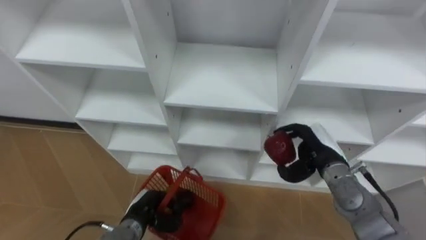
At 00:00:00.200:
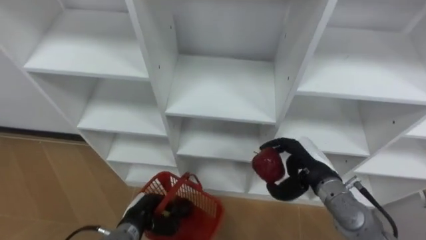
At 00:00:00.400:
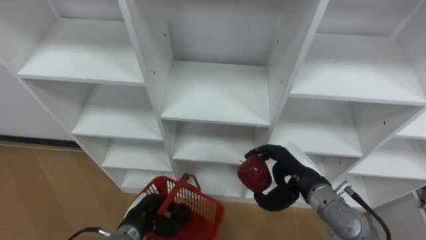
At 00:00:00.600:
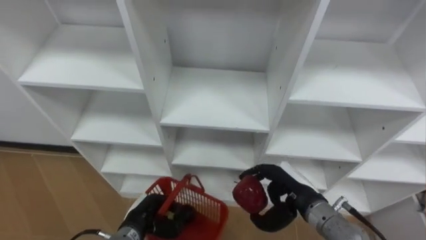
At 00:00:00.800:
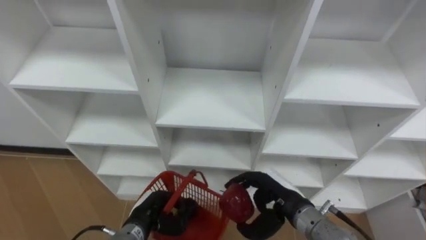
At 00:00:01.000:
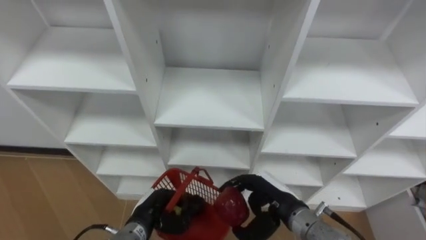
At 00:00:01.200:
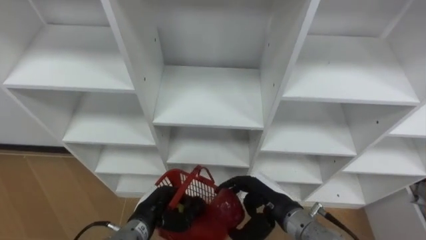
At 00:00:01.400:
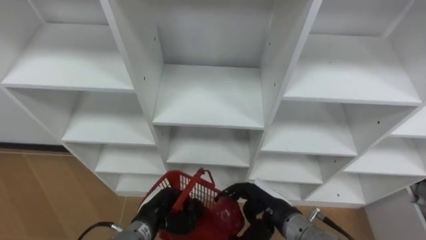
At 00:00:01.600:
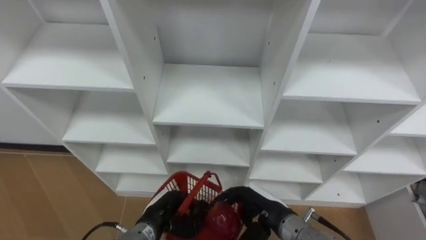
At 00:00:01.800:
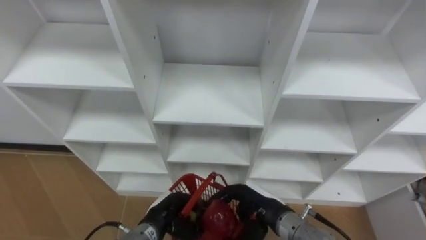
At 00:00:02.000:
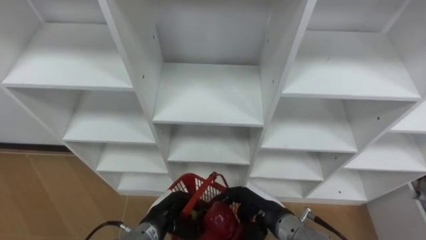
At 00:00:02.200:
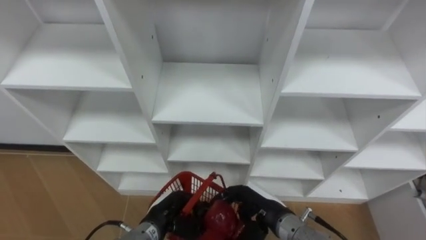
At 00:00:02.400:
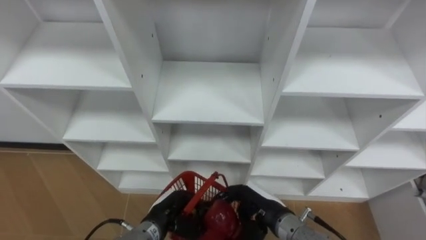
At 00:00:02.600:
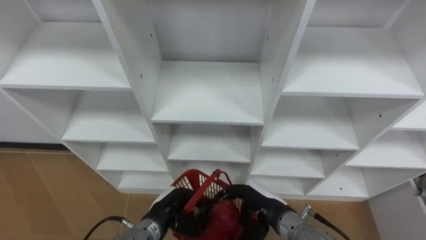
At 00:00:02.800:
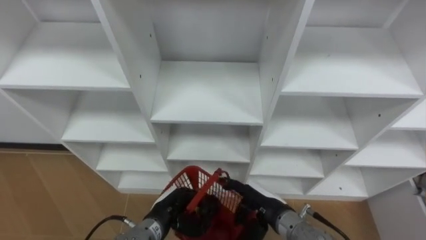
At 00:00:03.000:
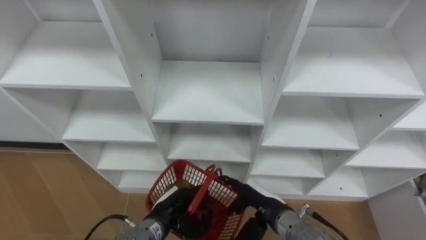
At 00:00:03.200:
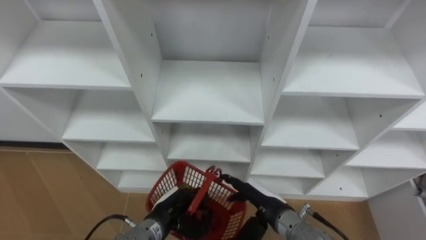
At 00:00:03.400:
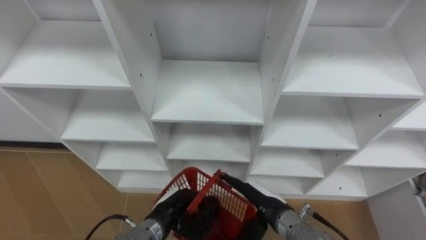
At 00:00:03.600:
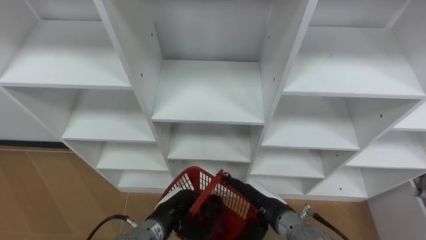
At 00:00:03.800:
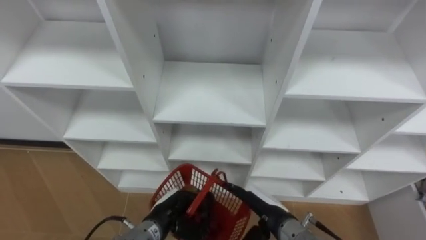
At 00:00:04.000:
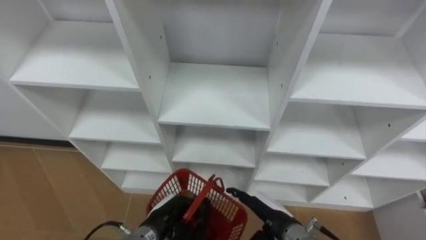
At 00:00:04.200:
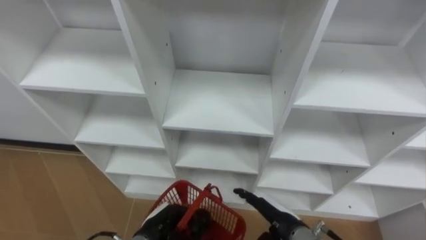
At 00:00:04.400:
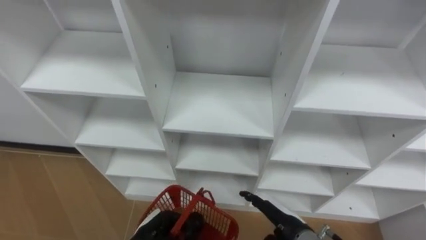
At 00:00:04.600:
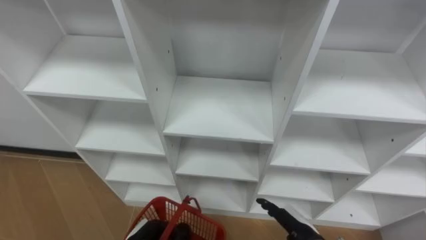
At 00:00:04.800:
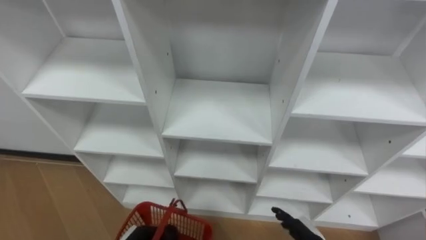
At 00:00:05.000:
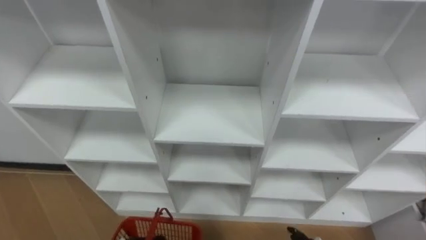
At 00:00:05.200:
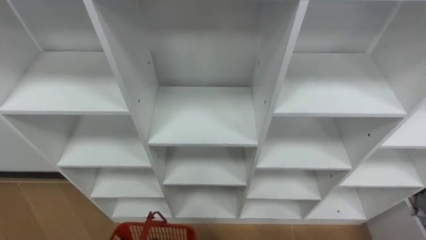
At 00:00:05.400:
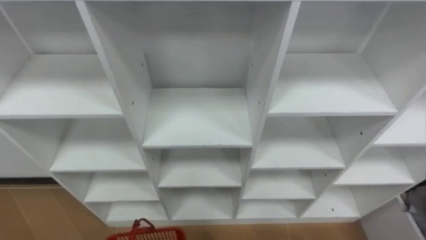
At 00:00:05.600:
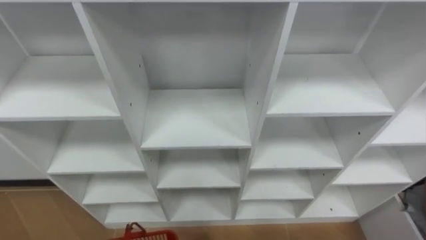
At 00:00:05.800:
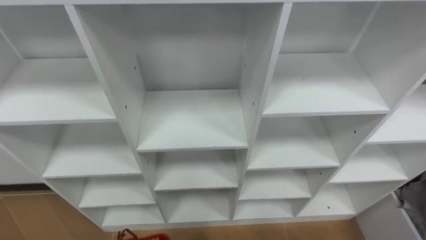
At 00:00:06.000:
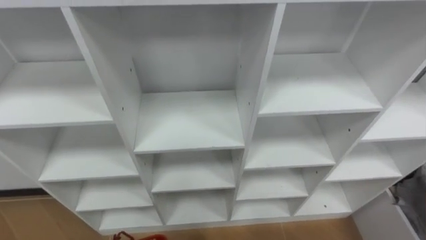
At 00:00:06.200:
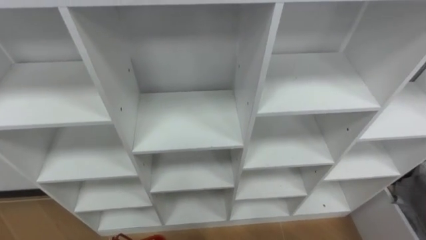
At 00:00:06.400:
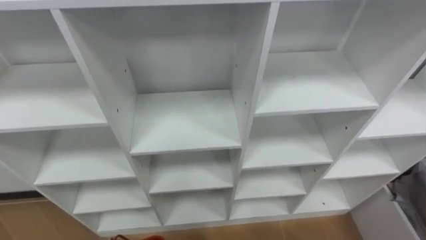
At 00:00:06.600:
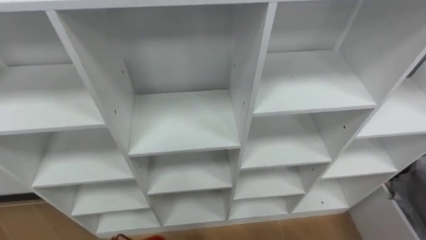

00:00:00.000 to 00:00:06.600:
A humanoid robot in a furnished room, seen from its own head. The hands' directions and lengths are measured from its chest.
Task of the whole recording: Hold the basket and collect the fruits from 3 different cells of the closet into it.
00:00:00.000 to 00:00:01.600: The right hand moves to the left and backward, about 15 cm.
00:00:01.600 to 00:00:03.200: The right hand opens up.

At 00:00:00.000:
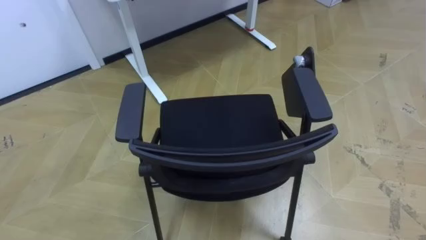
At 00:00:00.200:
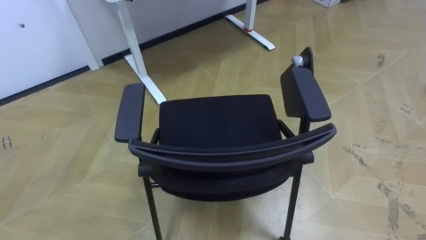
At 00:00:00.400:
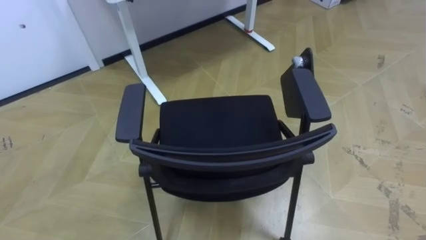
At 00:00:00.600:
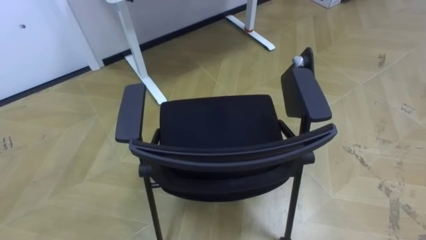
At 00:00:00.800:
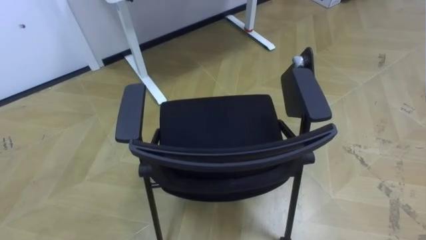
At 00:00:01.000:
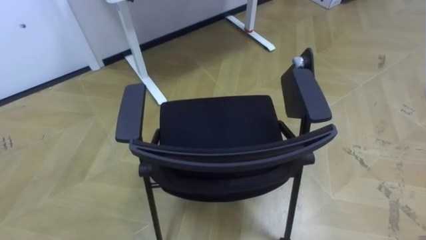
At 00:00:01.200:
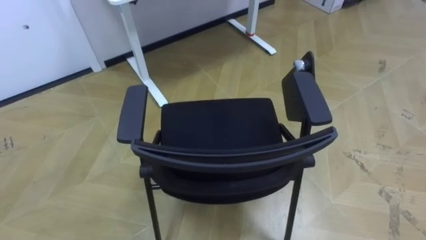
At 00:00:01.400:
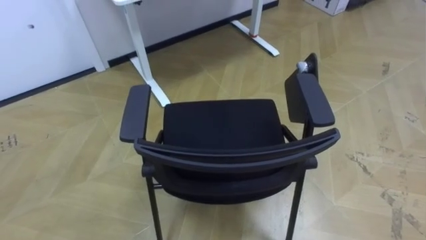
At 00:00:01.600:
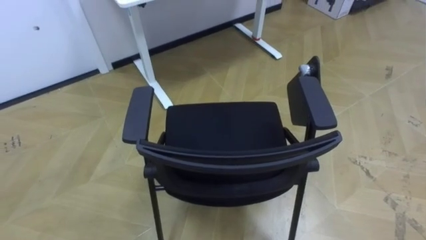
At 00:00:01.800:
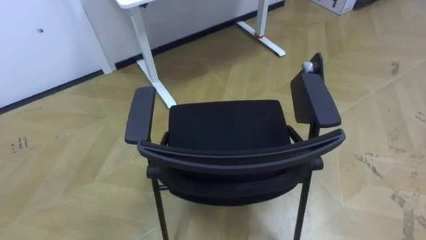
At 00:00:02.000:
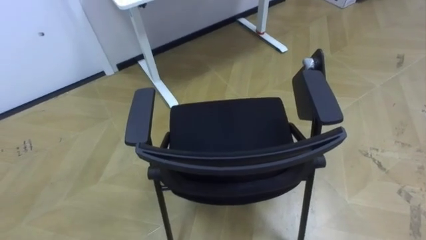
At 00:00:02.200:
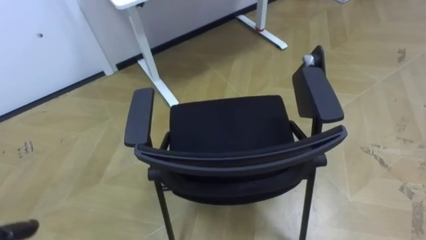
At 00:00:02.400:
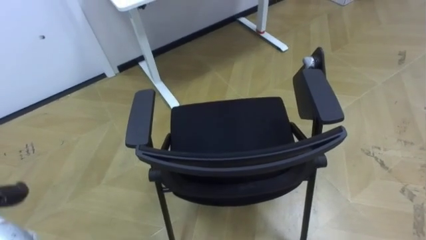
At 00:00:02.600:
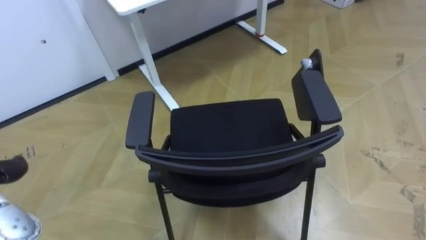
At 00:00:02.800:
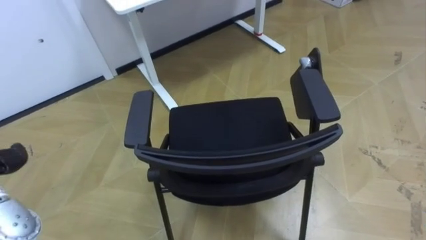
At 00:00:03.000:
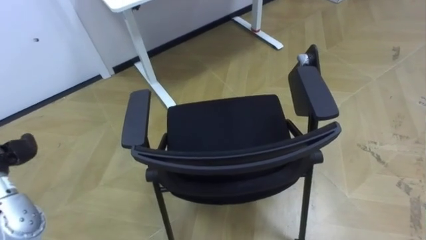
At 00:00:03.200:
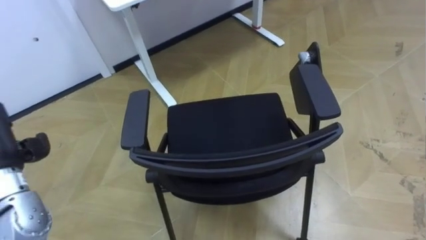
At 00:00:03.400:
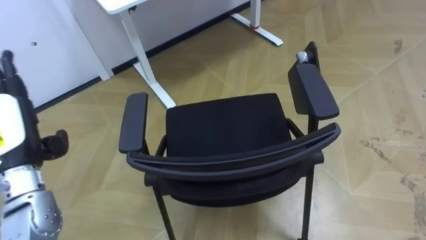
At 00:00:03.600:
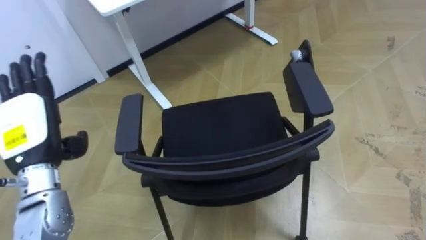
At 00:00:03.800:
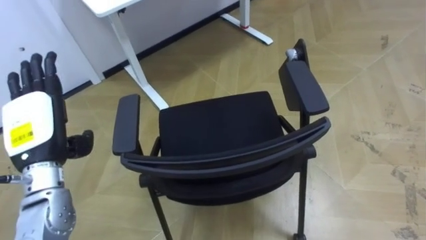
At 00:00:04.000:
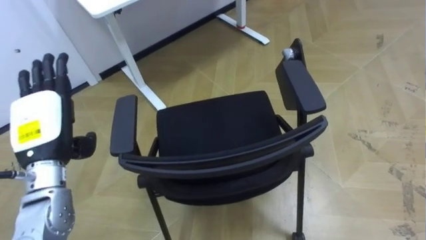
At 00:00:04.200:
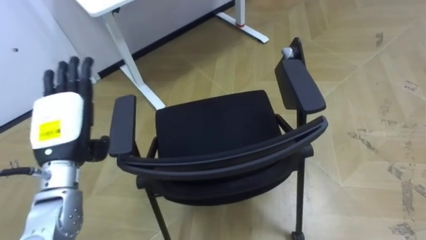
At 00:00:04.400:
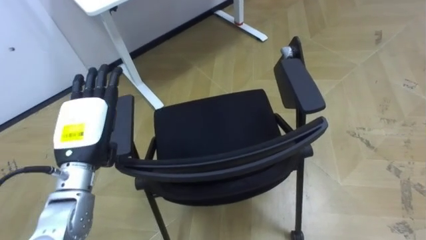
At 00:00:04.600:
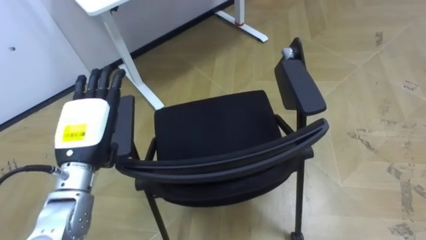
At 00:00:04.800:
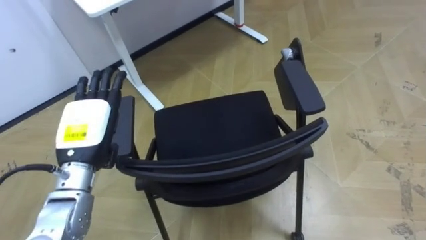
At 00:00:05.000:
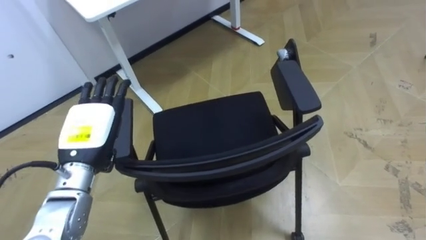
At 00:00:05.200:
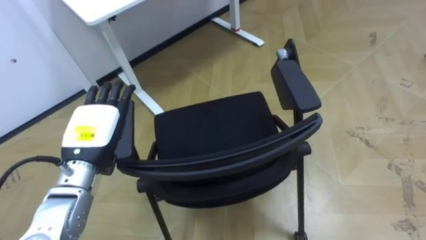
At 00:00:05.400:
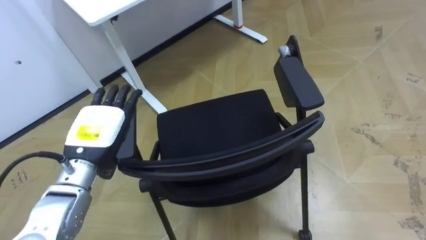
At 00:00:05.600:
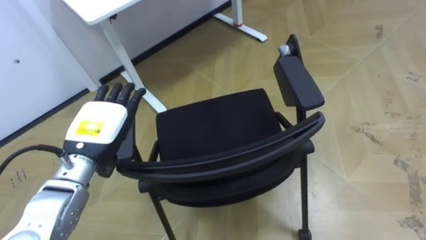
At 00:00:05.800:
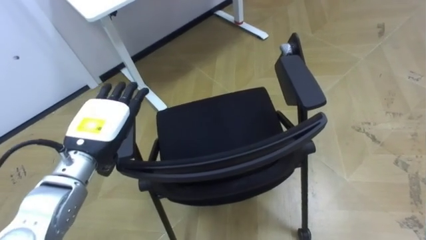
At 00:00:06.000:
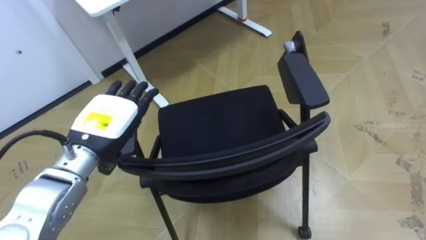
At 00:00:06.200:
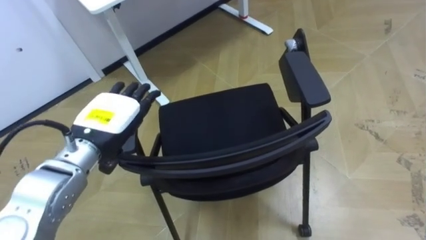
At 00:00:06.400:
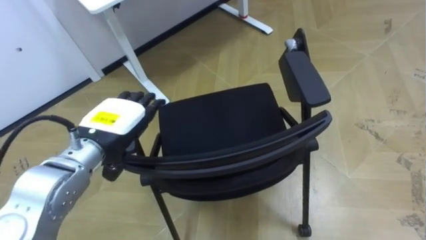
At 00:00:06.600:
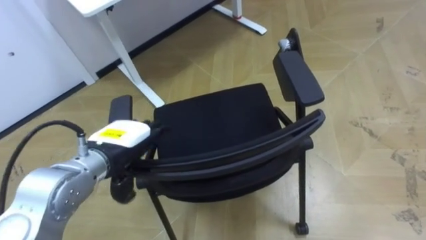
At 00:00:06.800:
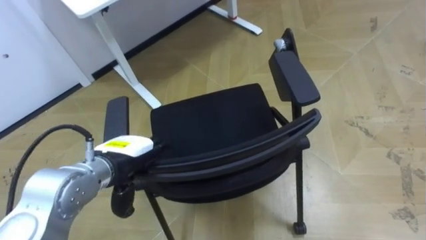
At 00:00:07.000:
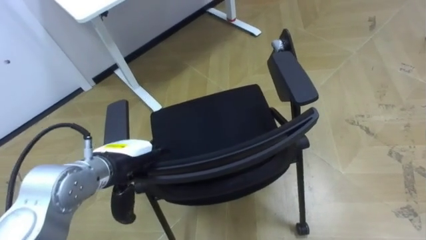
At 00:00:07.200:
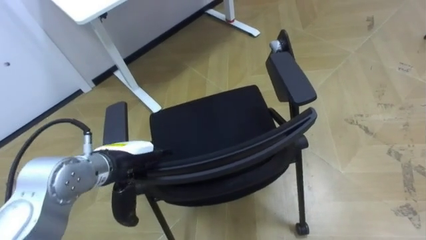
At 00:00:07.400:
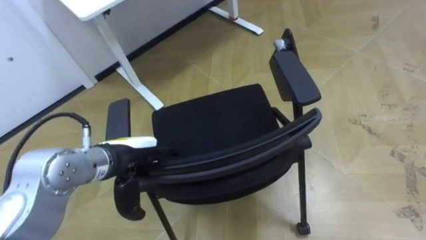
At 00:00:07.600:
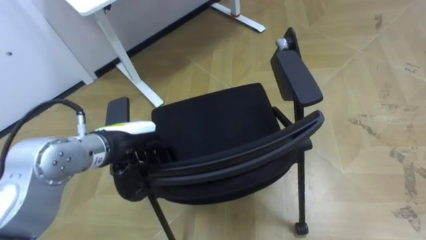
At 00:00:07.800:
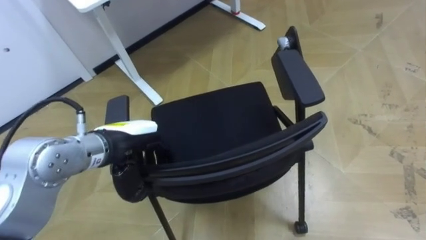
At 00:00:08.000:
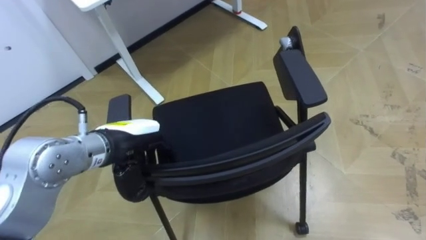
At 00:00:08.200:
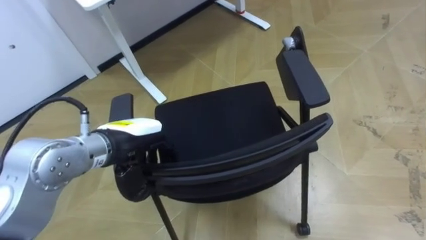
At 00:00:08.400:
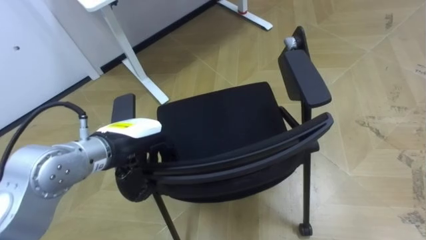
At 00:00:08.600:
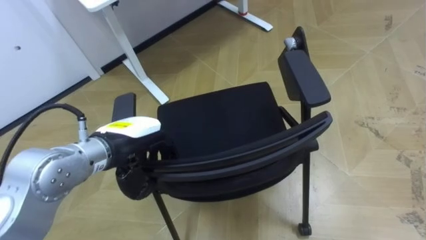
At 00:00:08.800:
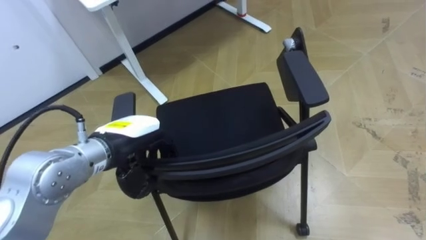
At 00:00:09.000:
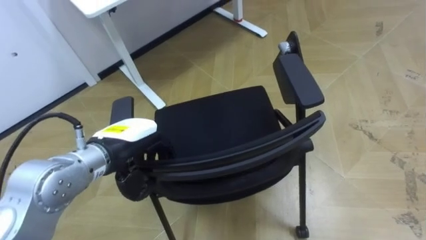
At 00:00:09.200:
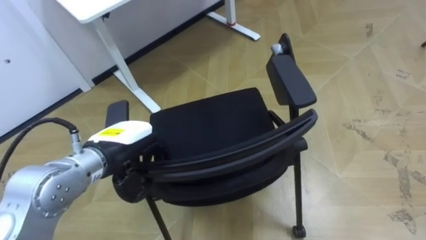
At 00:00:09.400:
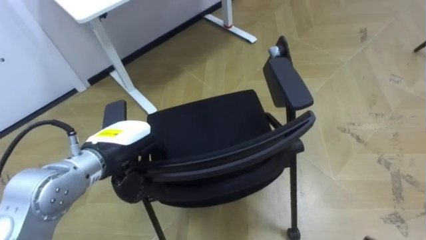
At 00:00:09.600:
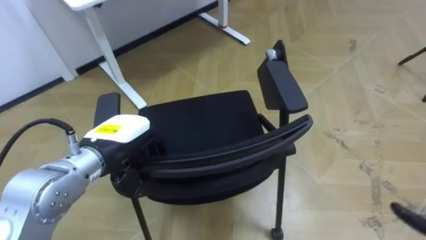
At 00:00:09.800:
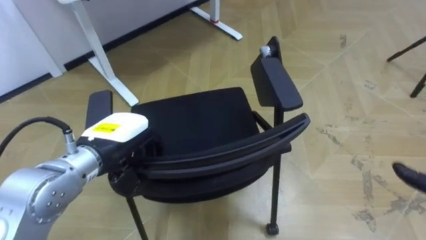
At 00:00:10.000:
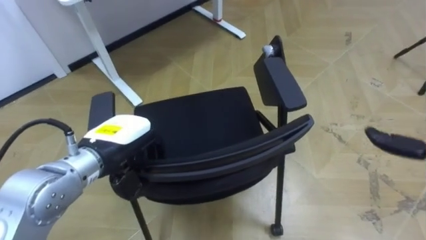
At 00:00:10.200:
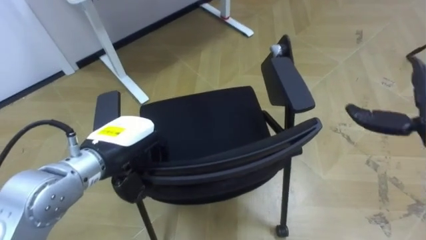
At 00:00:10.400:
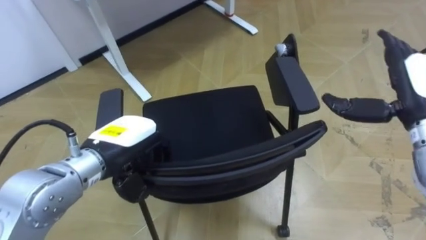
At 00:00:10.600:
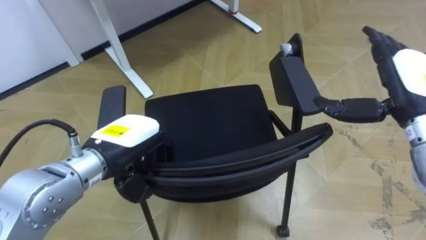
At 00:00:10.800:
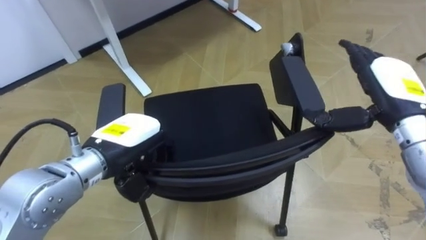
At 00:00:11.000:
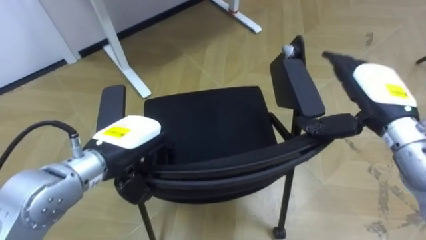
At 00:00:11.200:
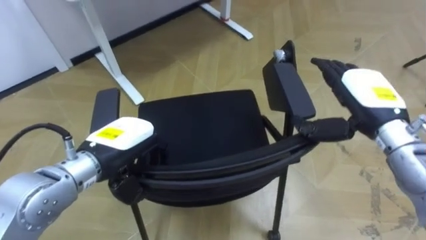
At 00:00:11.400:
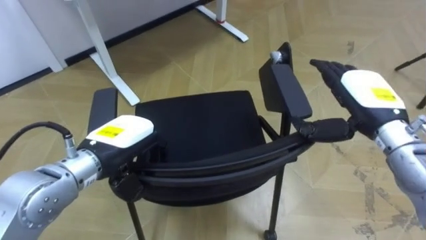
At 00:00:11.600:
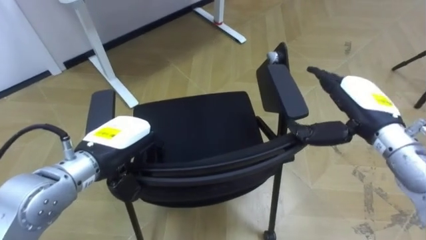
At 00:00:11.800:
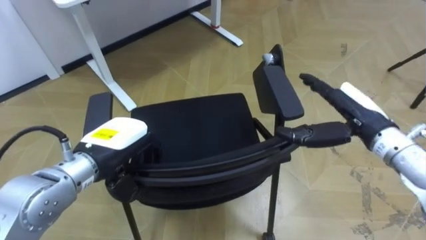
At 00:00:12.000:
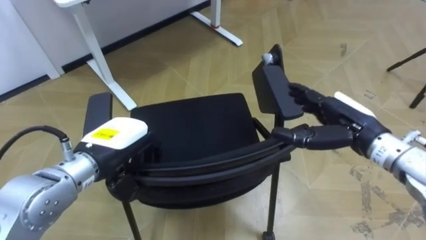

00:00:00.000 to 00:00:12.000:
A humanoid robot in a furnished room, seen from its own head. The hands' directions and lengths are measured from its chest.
Task of the whole recording: Push the chair under the table.
00:00:10.400 to 00:00:12.000: The right hand is displaced to the left and downward by approximately 10 cm.
